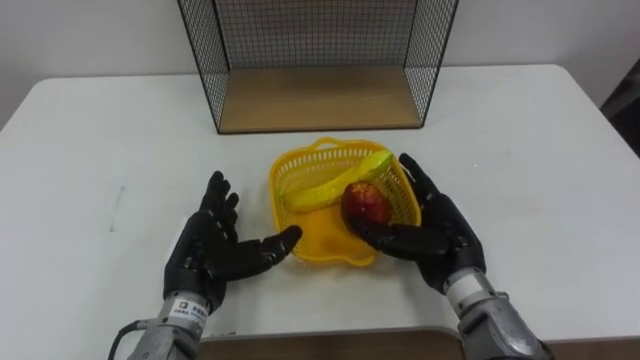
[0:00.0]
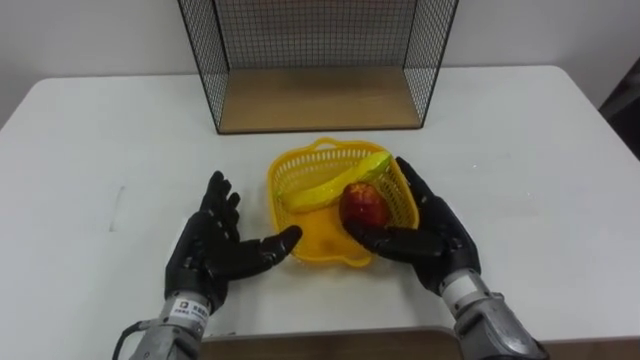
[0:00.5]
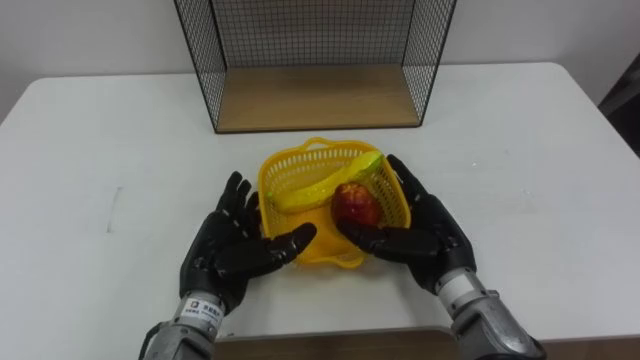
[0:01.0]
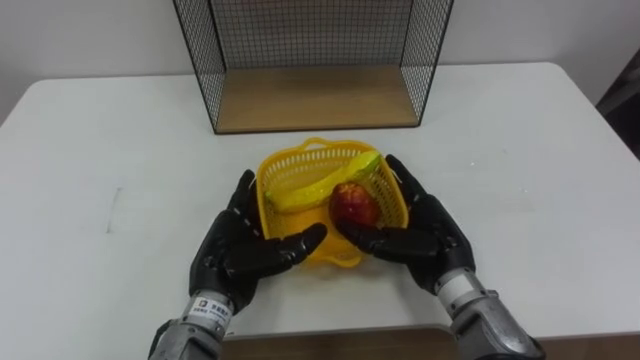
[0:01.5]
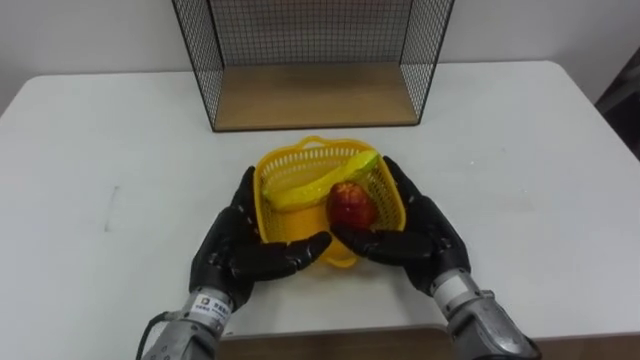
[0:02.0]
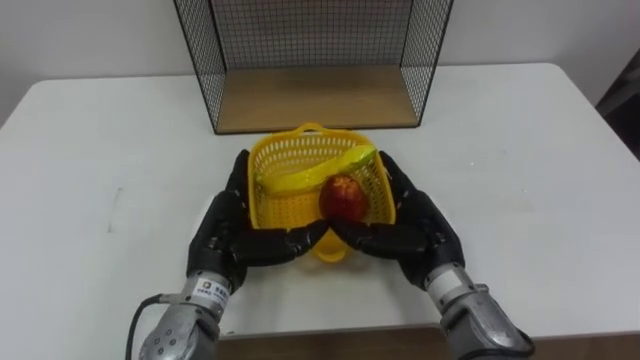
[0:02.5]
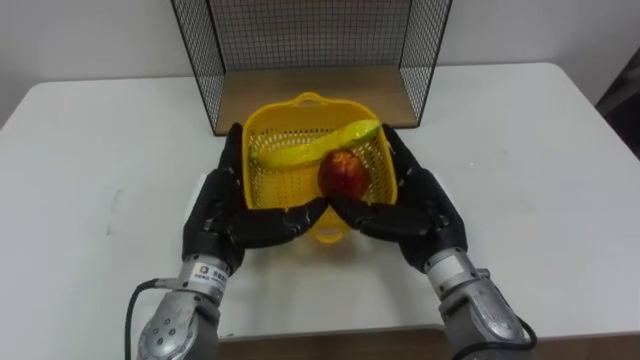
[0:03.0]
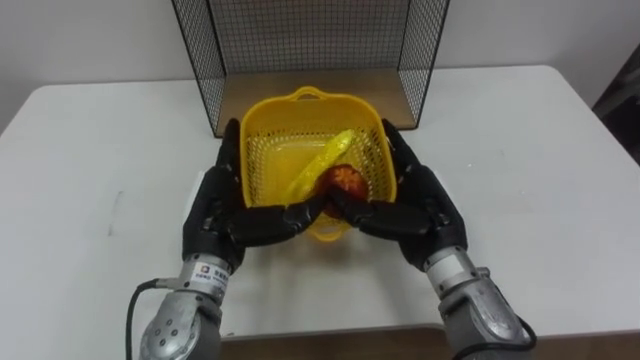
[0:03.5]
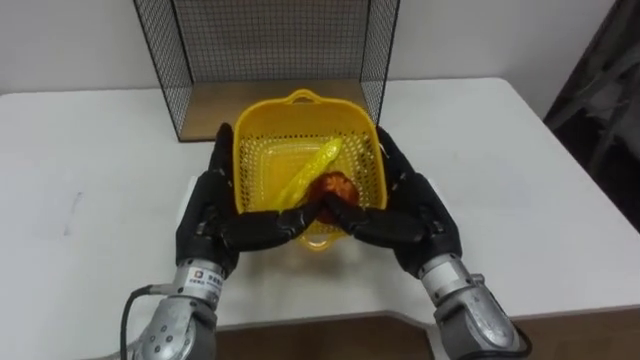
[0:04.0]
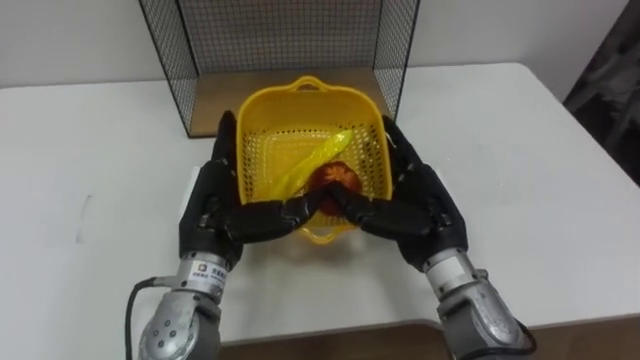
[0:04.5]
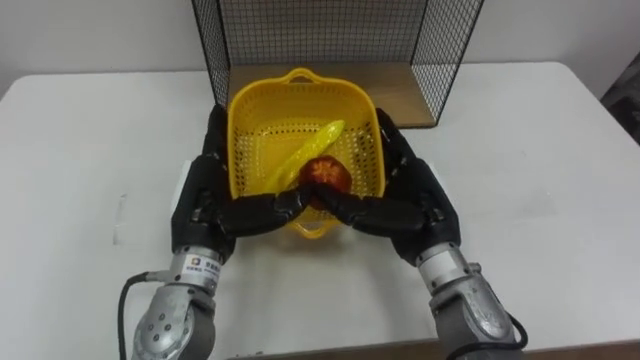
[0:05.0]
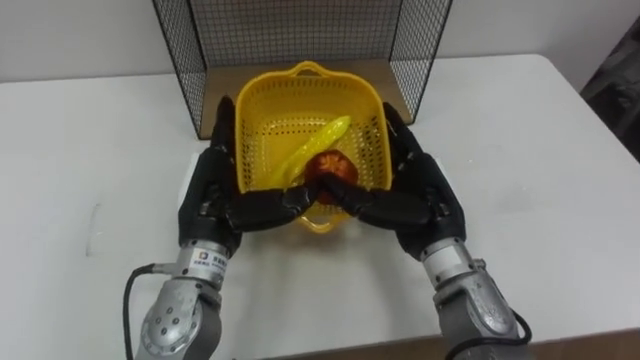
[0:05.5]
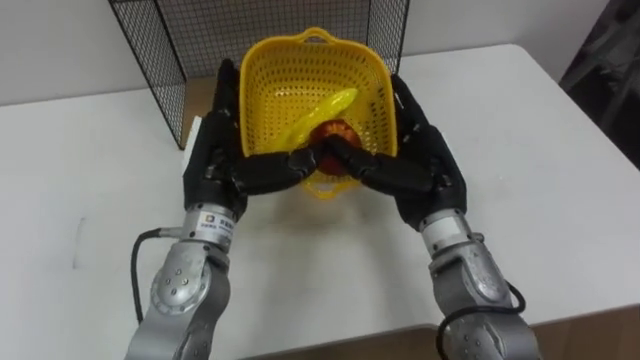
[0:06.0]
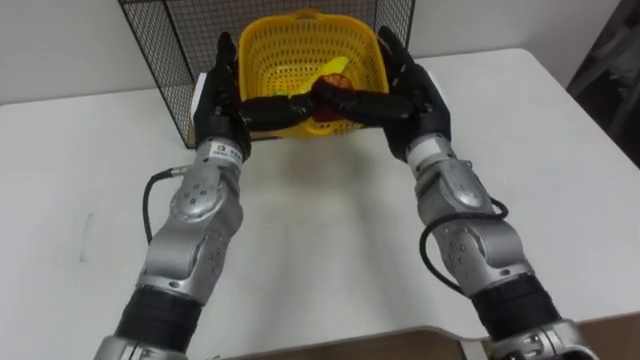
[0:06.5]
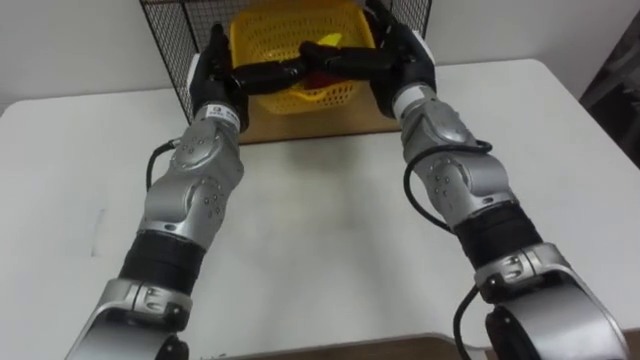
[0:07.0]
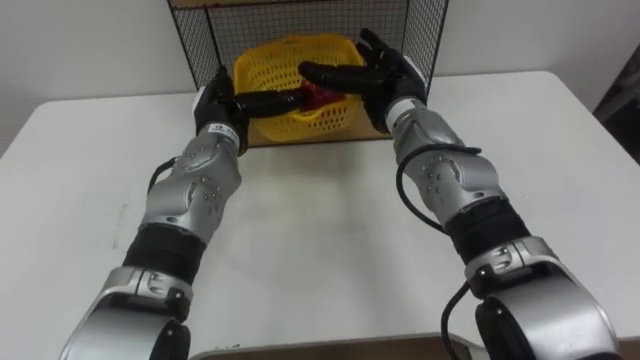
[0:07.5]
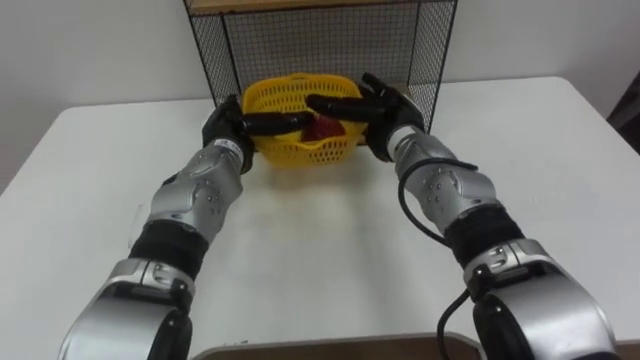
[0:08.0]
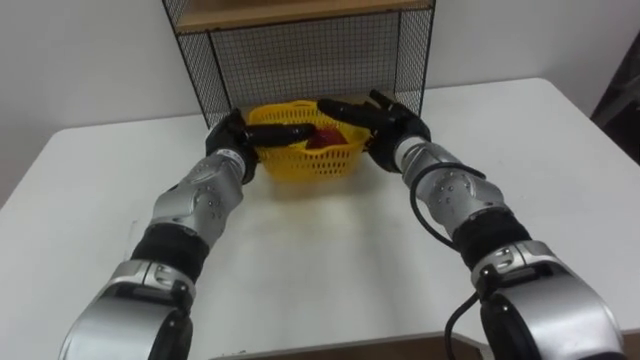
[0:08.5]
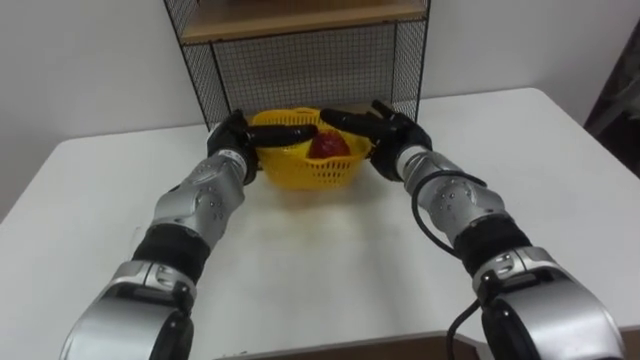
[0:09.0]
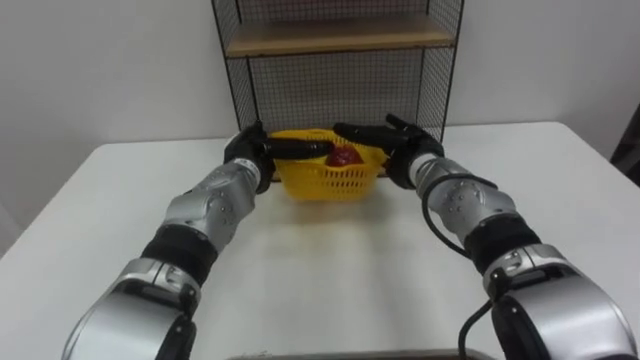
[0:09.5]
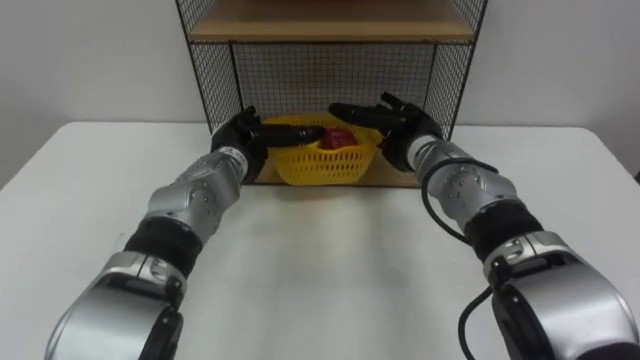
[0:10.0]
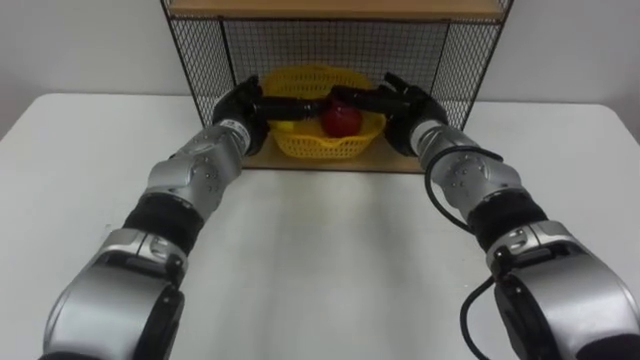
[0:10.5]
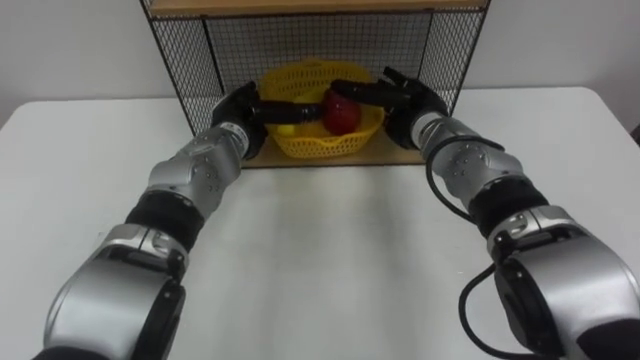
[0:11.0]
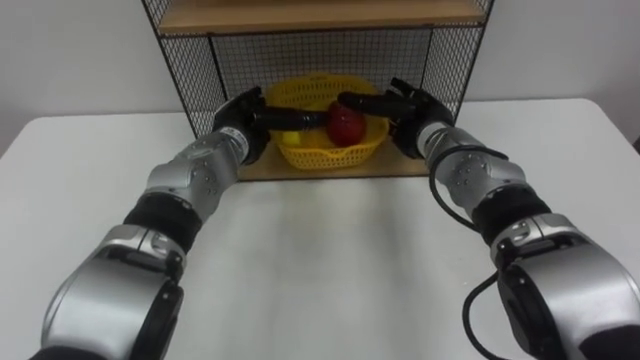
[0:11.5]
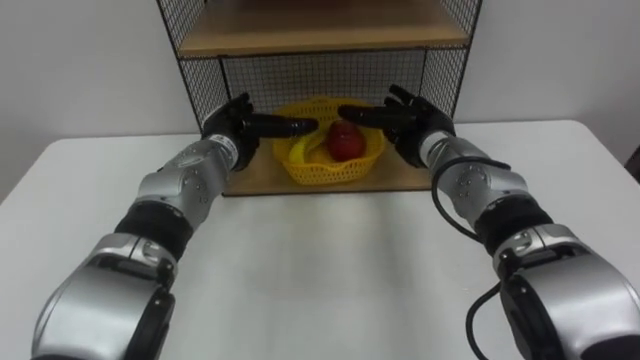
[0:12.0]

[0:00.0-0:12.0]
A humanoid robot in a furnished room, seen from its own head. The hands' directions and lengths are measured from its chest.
Task of the whole recording: Put the fruit on the table into the basket, then place the basket on the shelf.
0:00.0 to 0:02.0: The hands move only a little.
0:04.0 to 0:06.0: The left hand heads upward, covering about 5 cm; the right hand shifts by approximately 5 cm.
0:06.0 to 0:08.0: The left hand moves forward and downward, some 10 cm, while the right hand is displaced forward by approximately 10 cm.

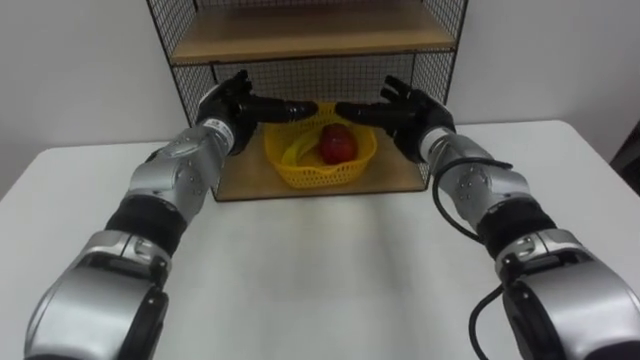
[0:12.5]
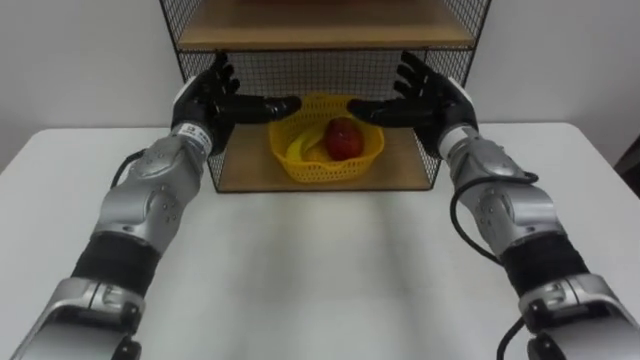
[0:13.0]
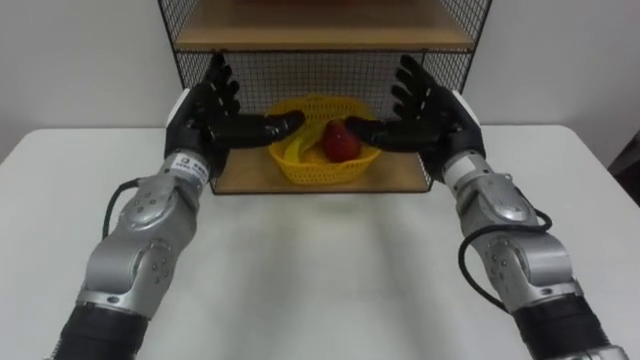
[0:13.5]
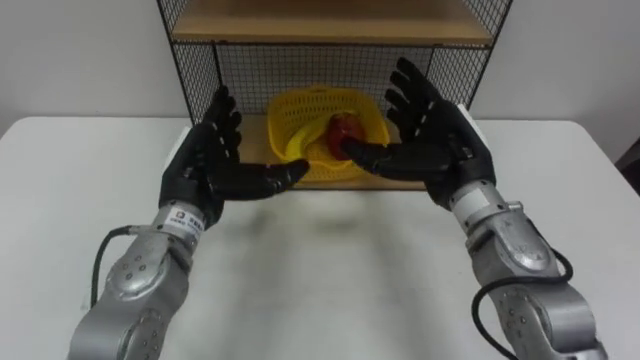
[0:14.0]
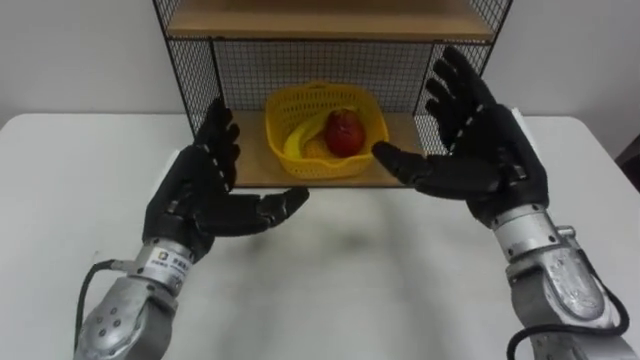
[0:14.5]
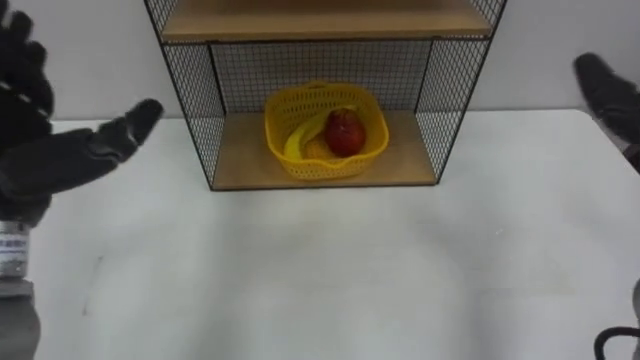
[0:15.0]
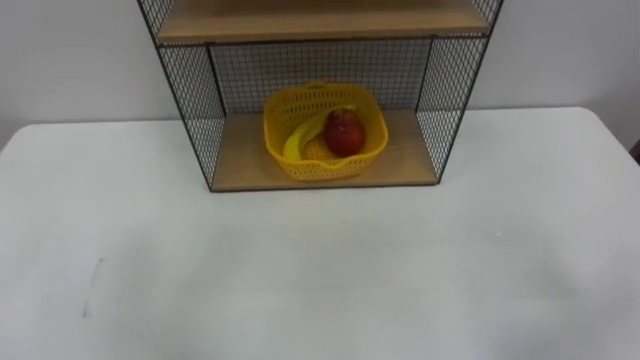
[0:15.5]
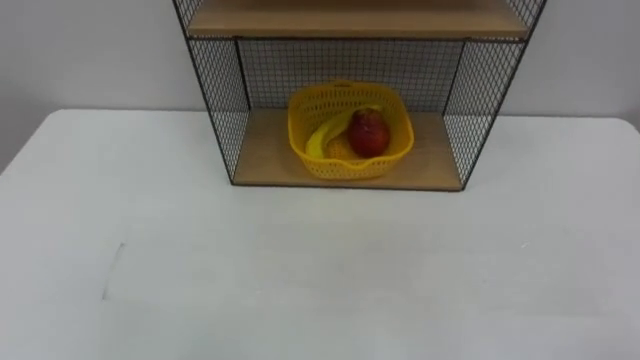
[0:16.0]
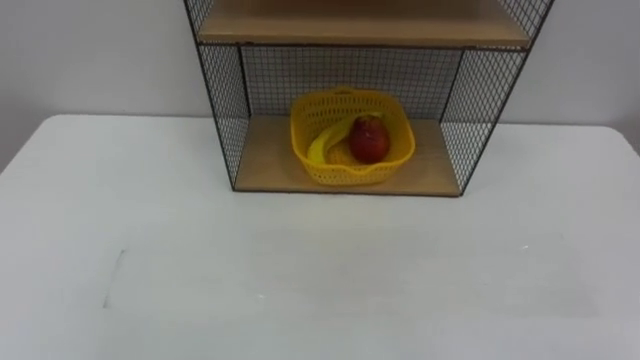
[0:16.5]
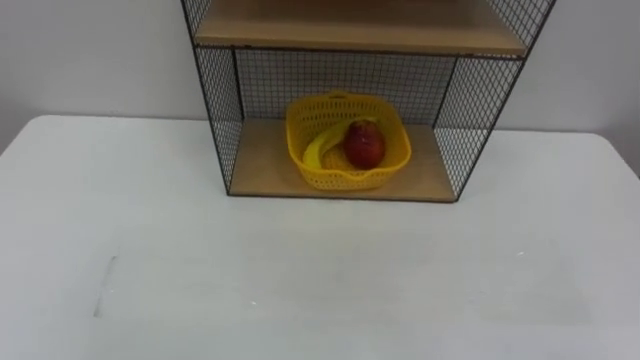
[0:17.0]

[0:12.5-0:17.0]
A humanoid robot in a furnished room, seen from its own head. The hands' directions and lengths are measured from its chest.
Task of the whole recording: Put the fruit on the table into the basket, then place the basket on the shelf.
0:12.5 to 0:14.5: The left hand travels backward by approximately 15 cm. Meanwhile the right hand is displaced backward, upward and to the right by approximately 15 cm.
